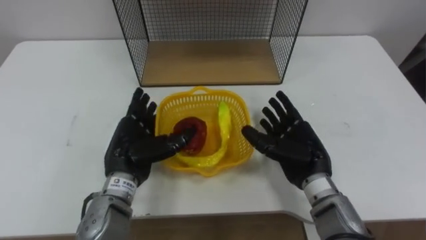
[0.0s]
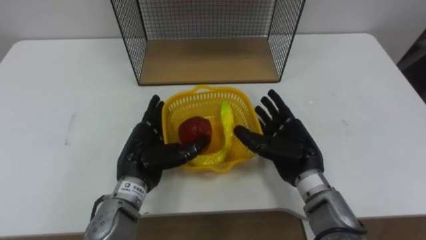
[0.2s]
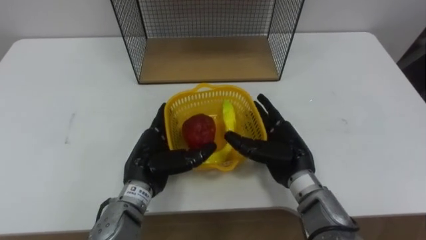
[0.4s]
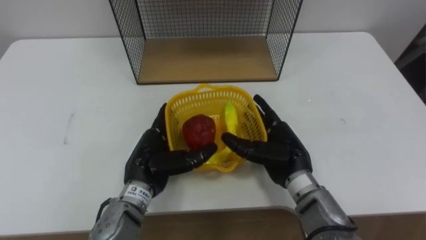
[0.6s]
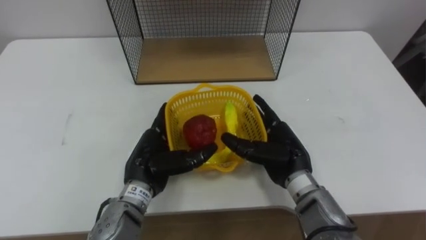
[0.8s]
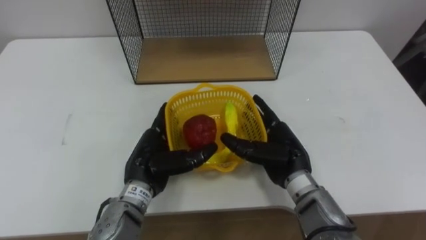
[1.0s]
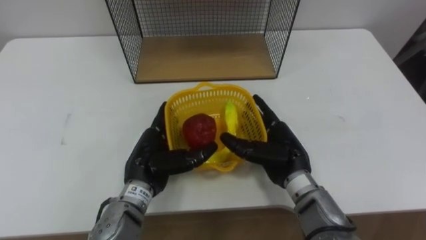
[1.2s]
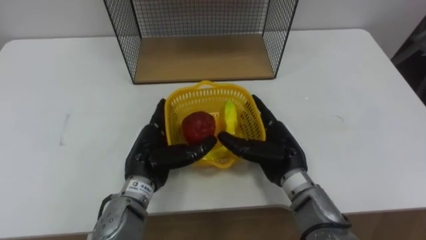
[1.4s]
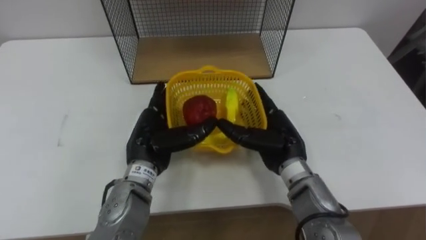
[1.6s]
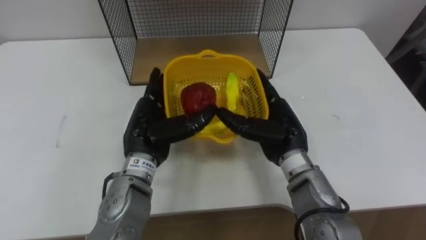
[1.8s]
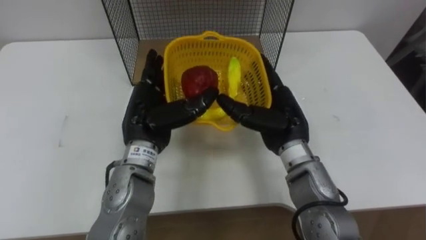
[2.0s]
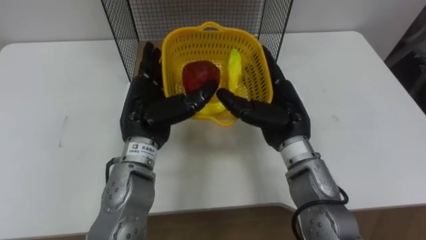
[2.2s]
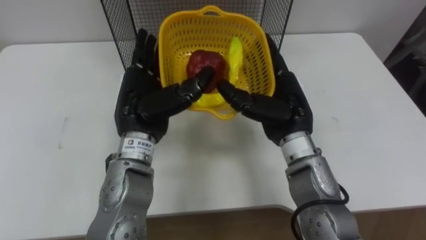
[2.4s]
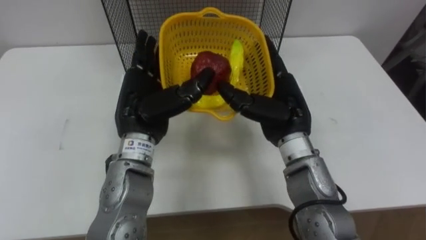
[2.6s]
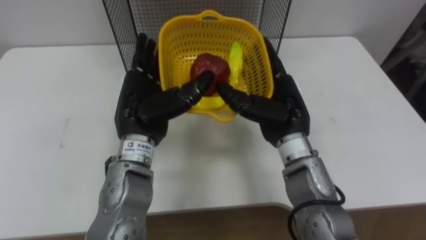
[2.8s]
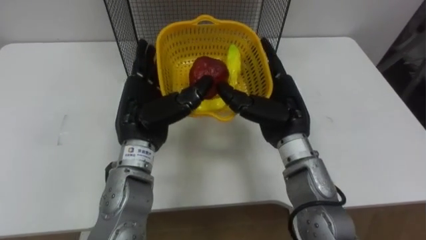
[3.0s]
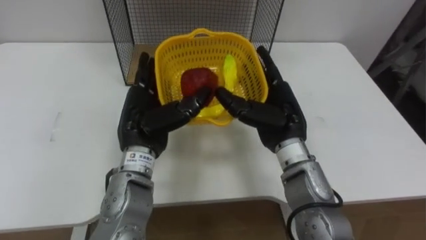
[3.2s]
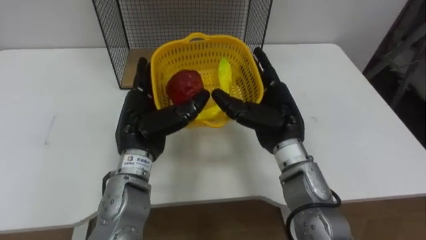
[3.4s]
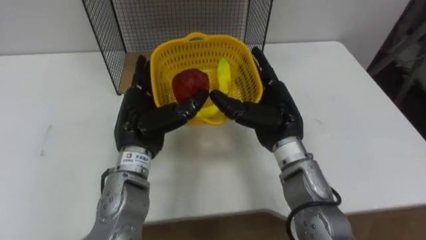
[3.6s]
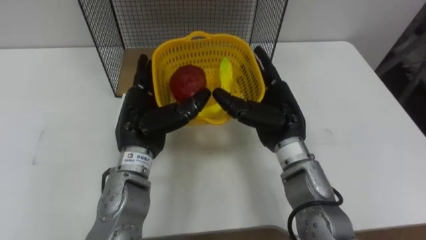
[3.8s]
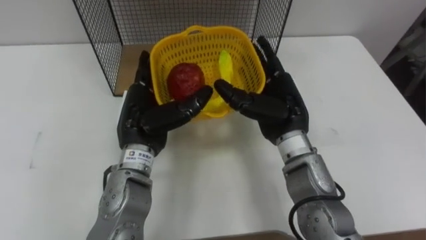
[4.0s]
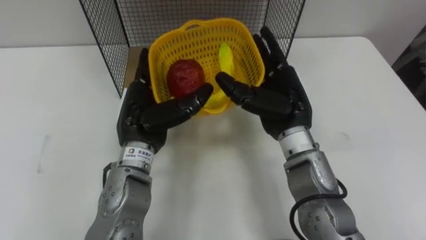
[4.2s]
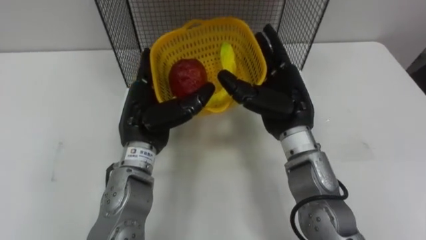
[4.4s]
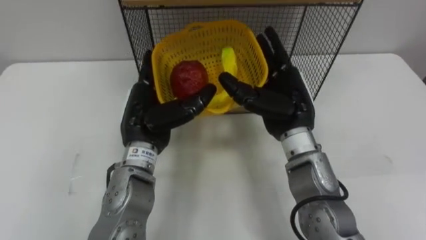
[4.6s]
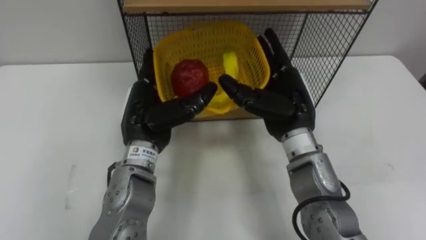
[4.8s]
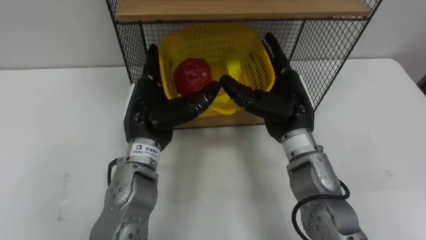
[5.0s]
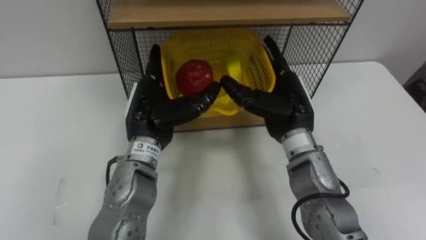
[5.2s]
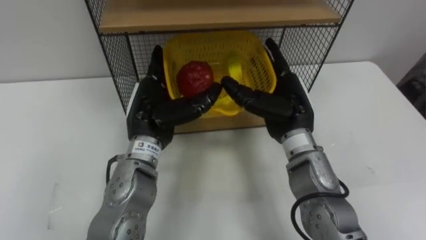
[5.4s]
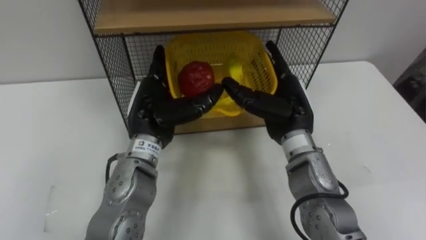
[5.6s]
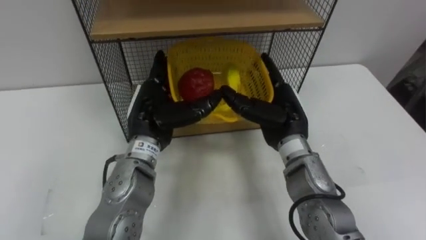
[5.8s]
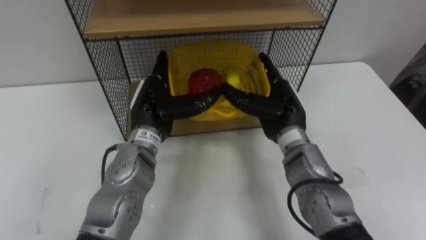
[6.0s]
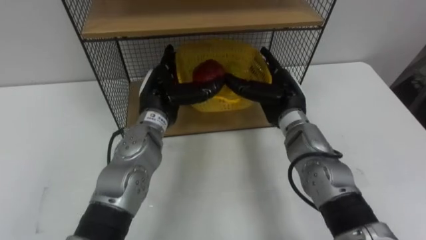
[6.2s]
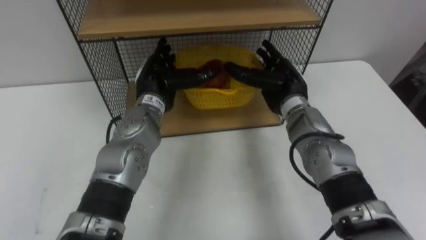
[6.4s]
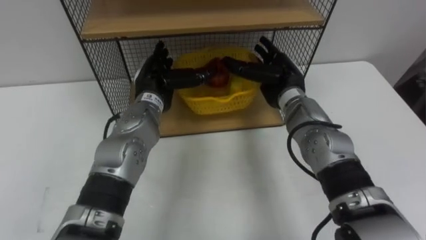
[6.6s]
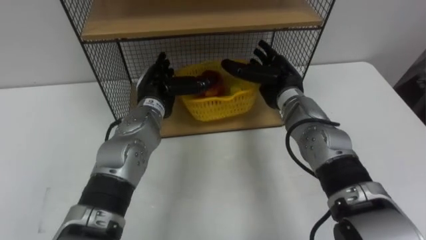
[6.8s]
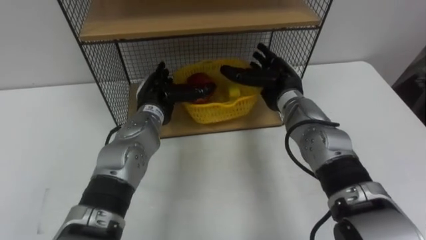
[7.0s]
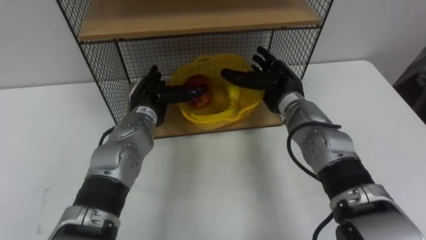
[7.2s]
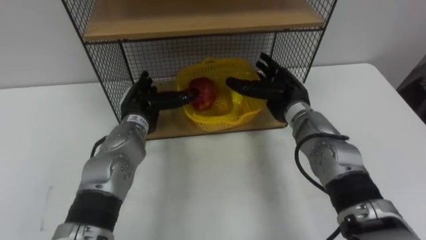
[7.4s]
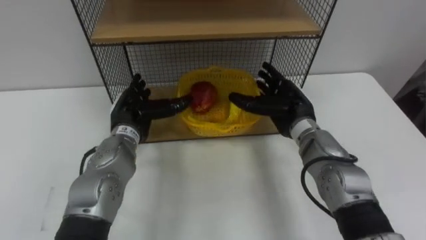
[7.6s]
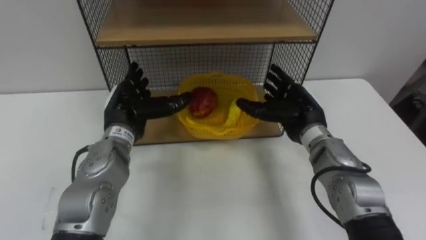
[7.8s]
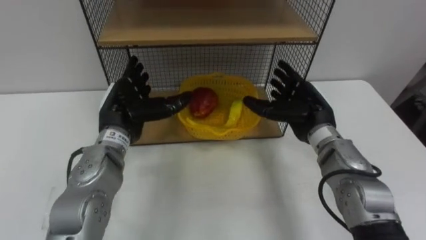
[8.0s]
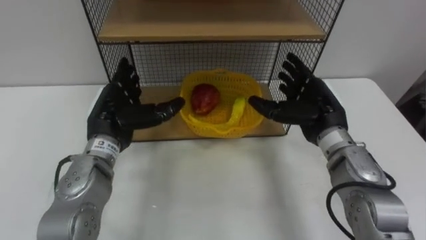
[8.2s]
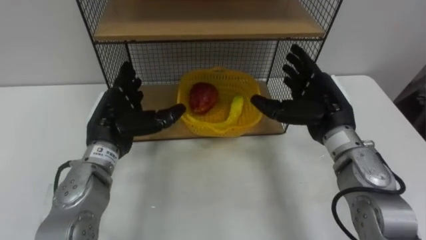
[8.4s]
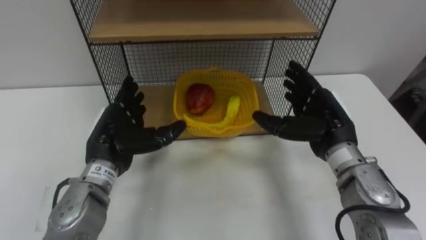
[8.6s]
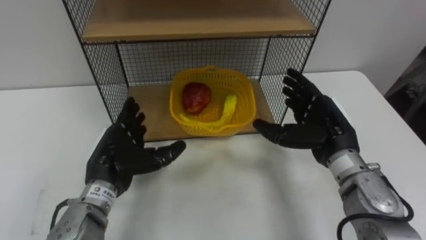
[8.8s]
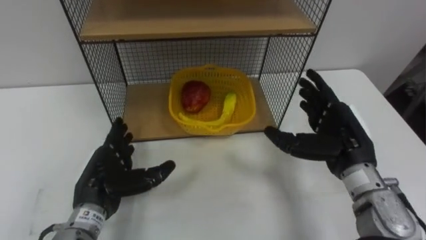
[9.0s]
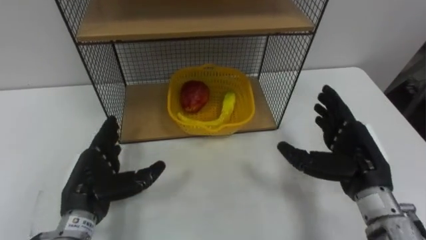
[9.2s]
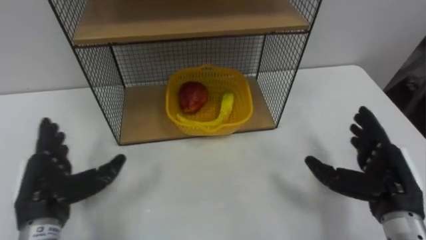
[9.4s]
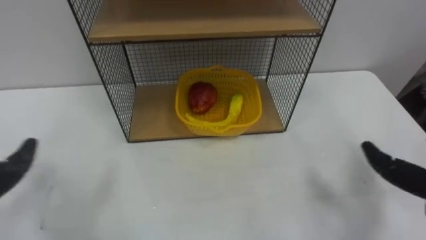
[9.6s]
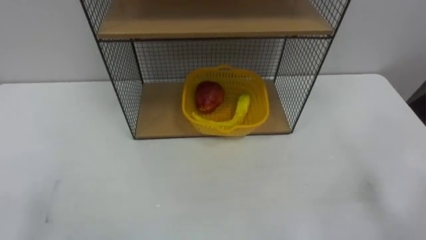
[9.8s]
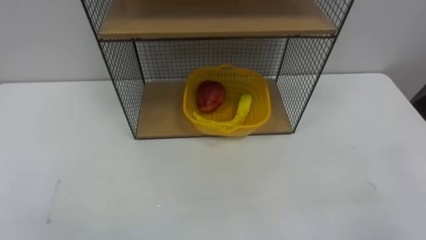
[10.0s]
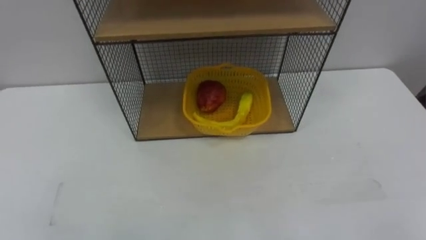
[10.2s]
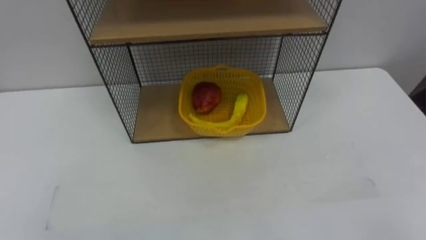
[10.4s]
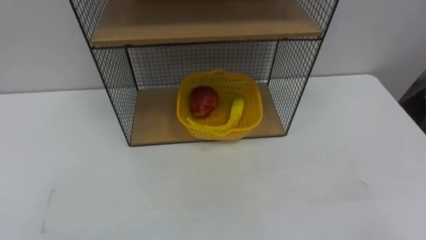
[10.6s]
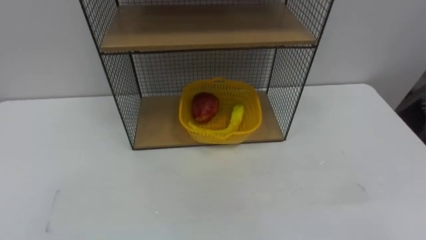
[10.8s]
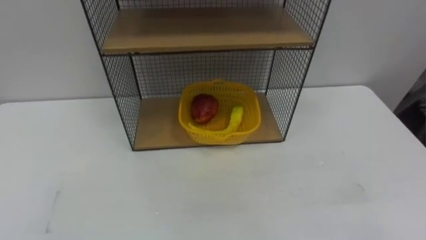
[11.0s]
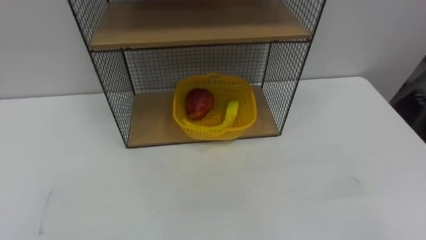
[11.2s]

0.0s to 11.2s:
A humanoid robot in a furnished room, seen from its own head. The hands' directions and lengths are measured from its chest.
Task of the whole recording: Put the fruit on the table into the basket, then place the basket on the shelf.
0.0s to 1.6s: The right hand shifts by some 5 cm.
1.6s to 3.2s: The right hand heads upward, covering about 5 cm.
4.8s to 6.4s: The hands both shift forward by roughly 10 cm.
6.4s to 8.0s: The right hand moves roughly 5 cm; the left hand heads to the left and backward, covering approximately 10 cm.

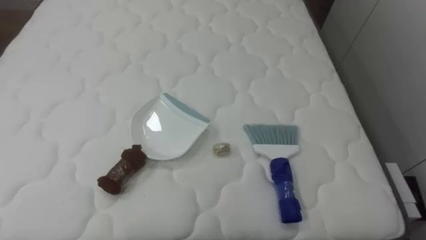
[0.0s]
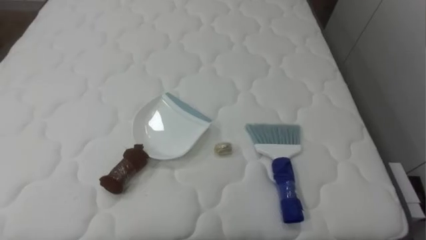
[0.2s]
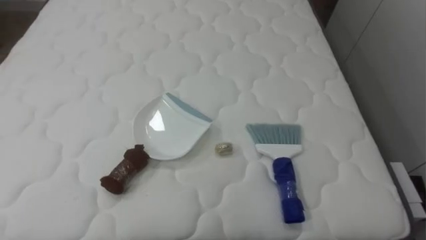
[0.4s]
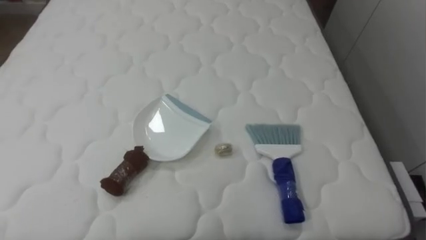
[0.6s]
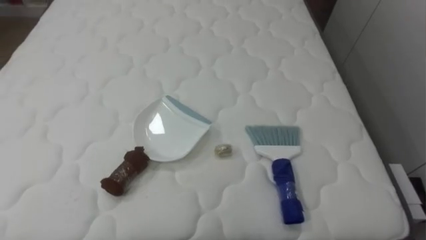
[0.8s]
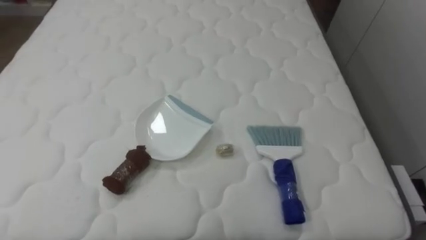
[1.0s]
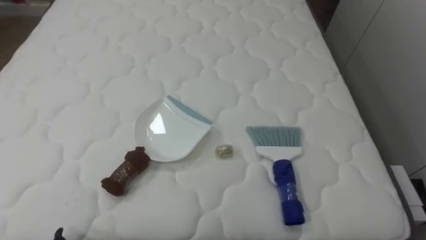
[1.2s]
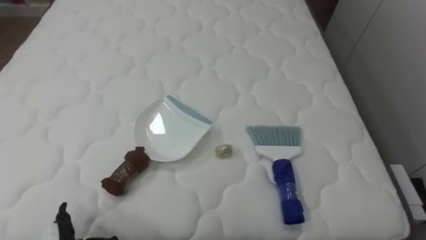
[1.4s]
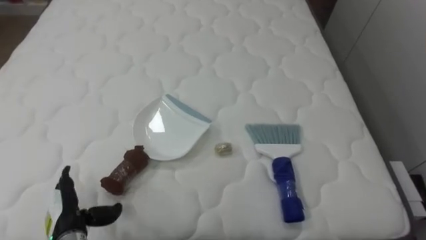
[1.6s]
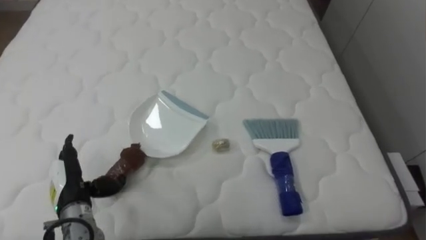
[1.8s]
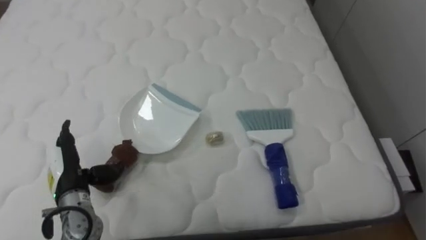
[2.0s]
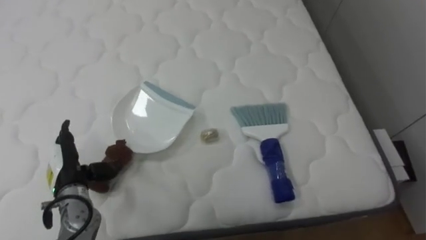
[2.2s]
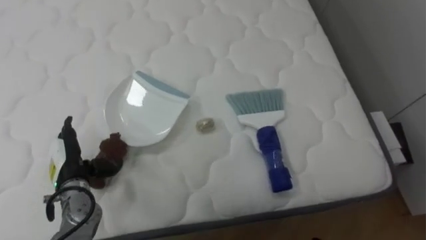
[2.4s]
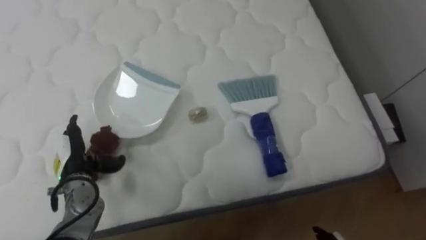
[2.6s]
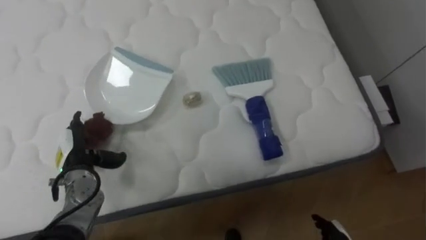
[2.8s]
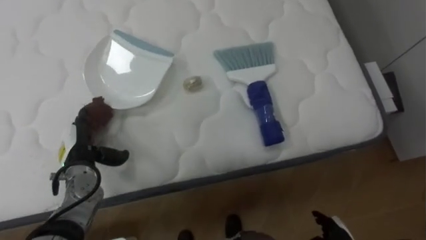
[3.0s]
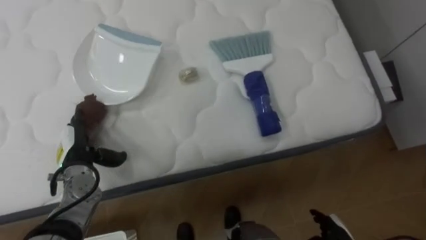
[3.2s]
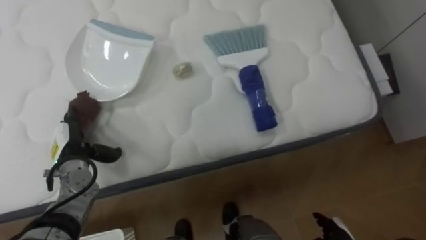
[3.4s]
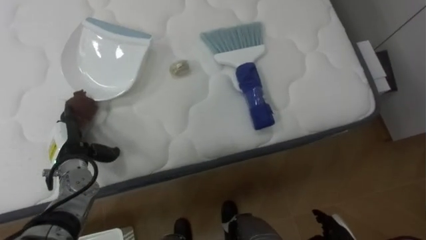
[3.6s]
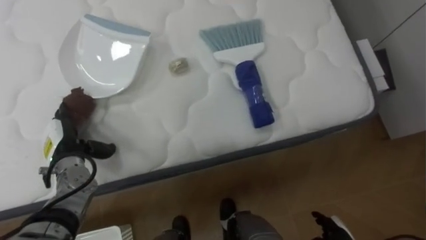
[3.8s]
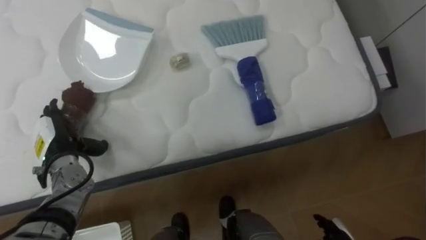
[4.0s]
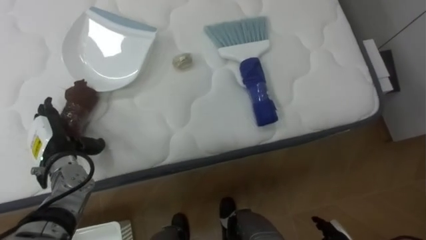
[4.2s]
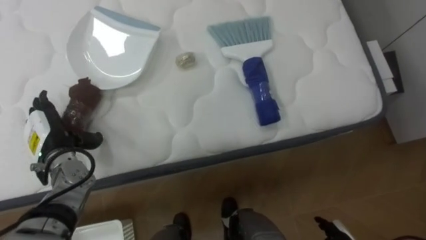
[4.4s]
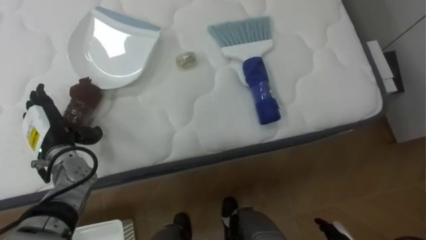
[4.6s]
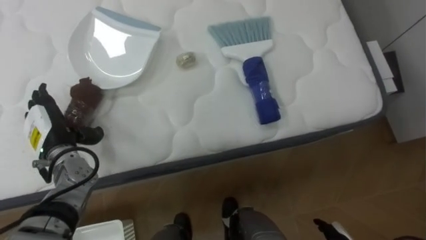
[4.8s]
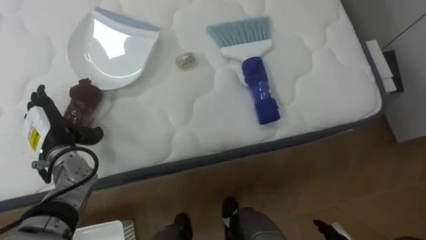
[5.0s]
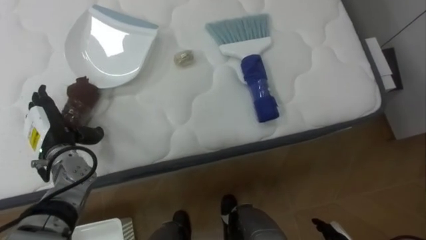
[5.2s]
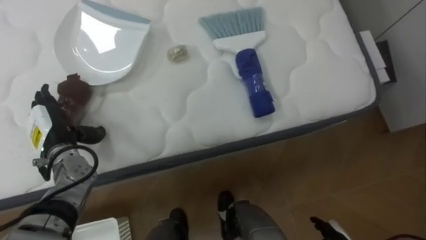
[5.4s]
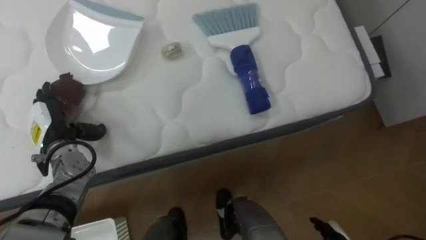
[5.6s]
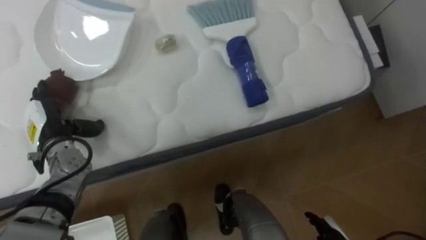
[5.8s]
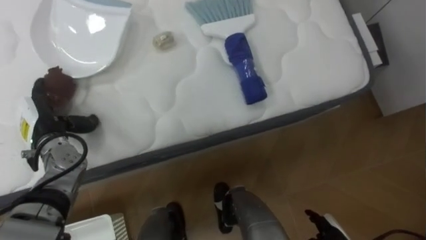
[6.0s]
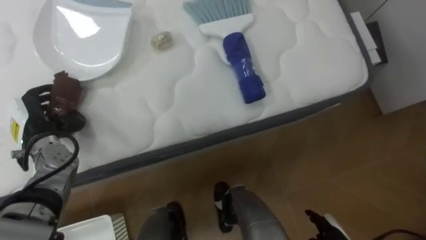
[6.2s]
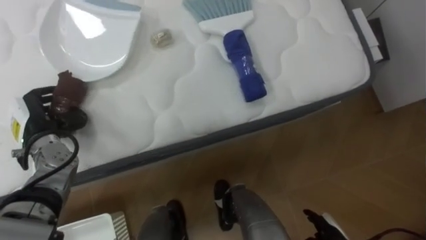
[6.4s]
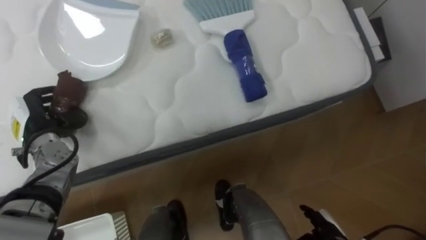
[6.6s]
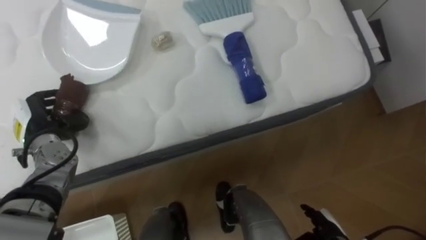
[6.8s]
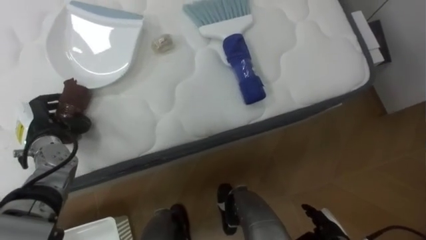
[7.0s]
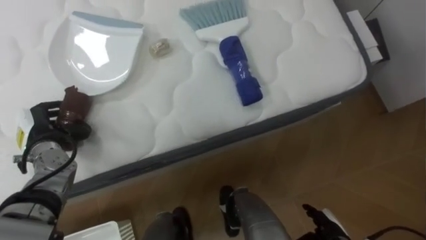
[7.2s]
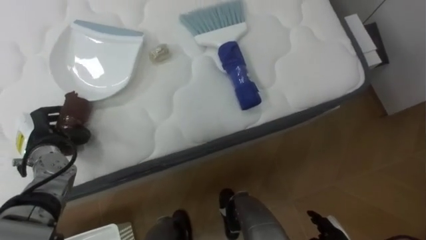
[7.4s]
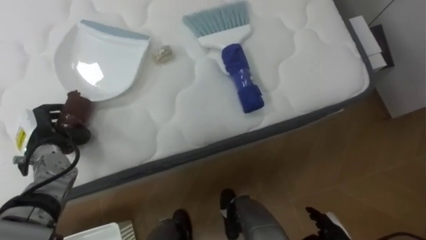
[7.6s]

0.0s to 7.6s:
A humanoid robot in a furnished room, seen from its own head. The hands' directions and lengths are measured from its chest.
Task of the whole recording: Pick up the brush on your right and the dustpan on your left. Use the brush to sweep the crumpled paper on the bed into the dustpan, then turn left and empty it into the basket.
1.6s to 3.0s: The left hand shifts approximately 15 cm forward and upward.
3.0s to 4.6s: The left hand changes place by some 5 cm.
6.0s to 7.6s: The left hand closes.
